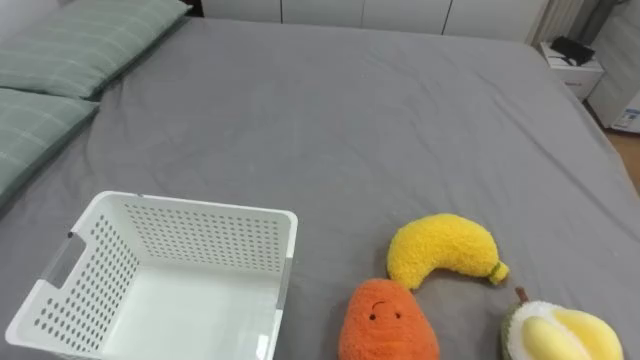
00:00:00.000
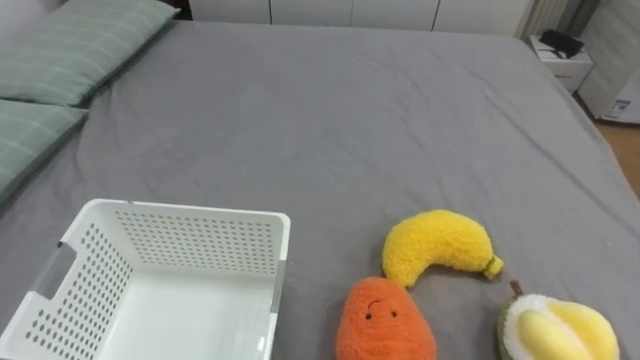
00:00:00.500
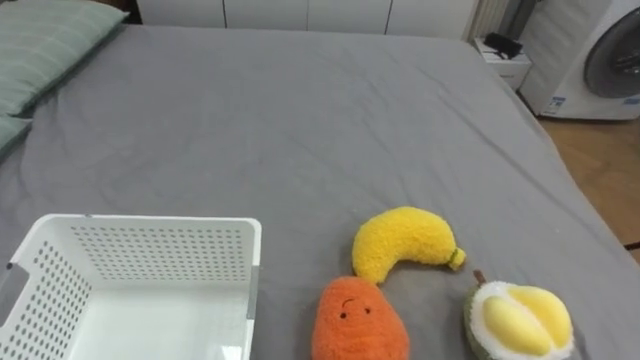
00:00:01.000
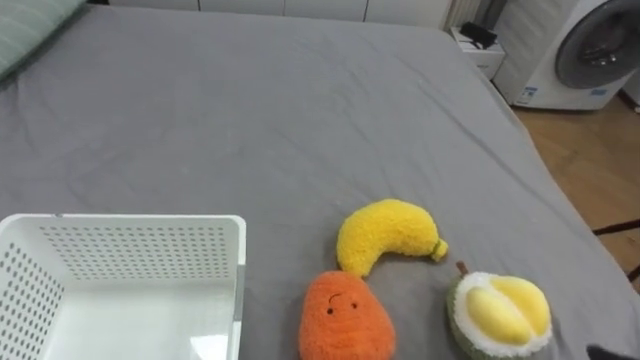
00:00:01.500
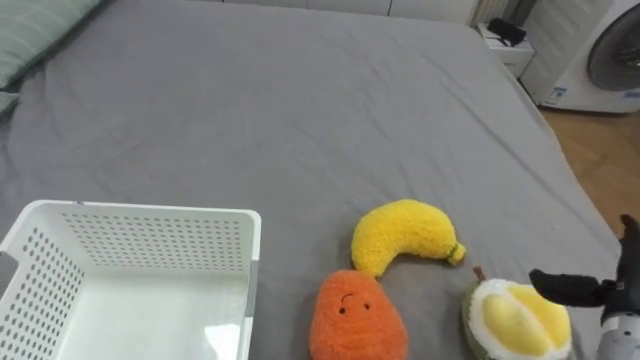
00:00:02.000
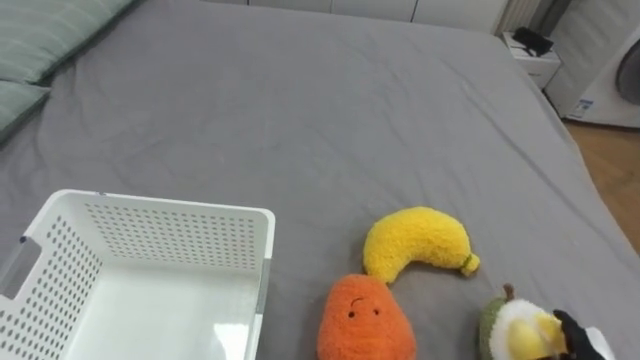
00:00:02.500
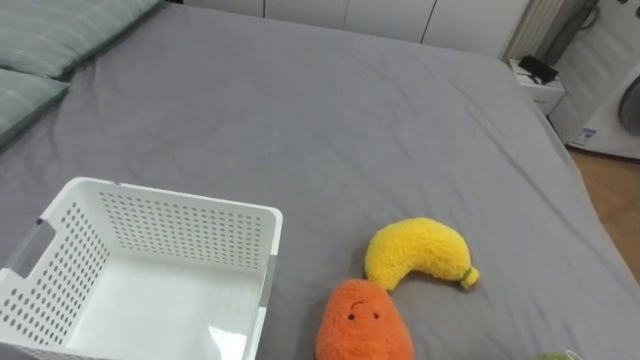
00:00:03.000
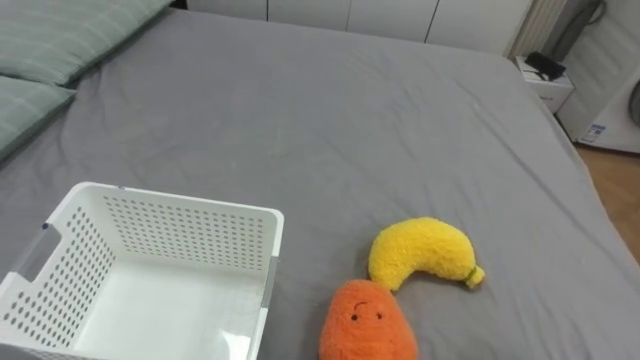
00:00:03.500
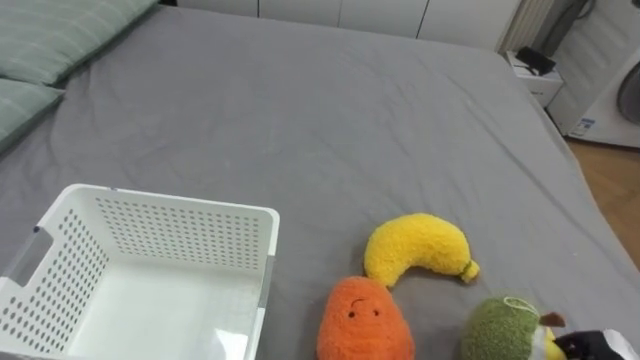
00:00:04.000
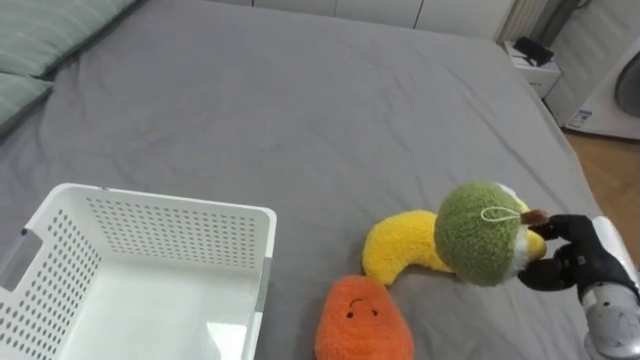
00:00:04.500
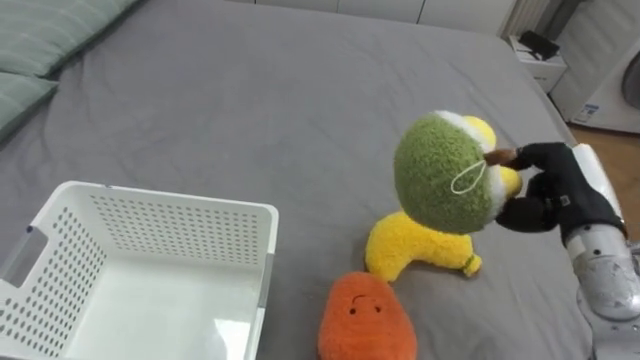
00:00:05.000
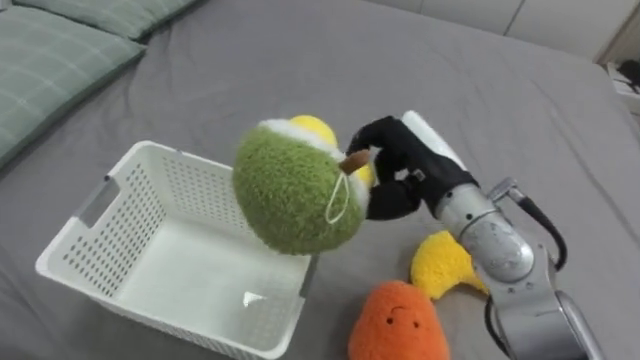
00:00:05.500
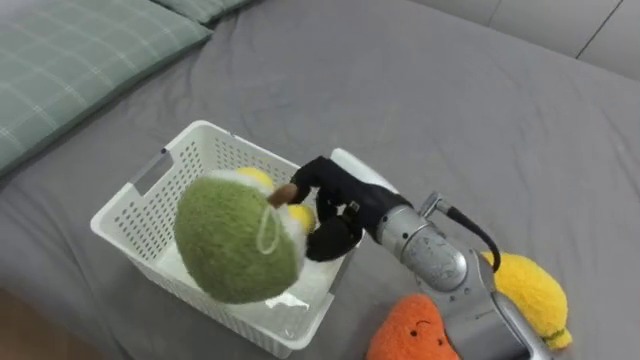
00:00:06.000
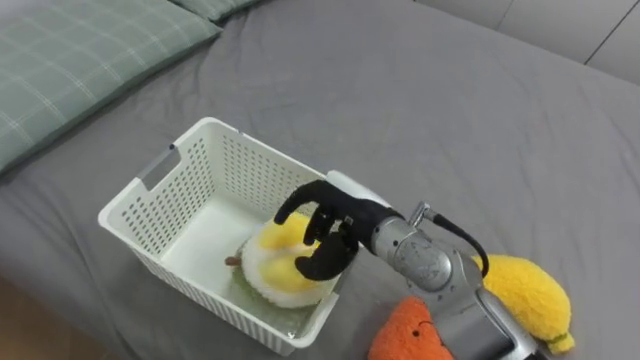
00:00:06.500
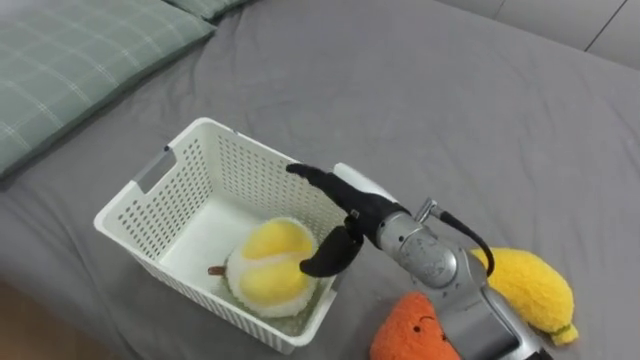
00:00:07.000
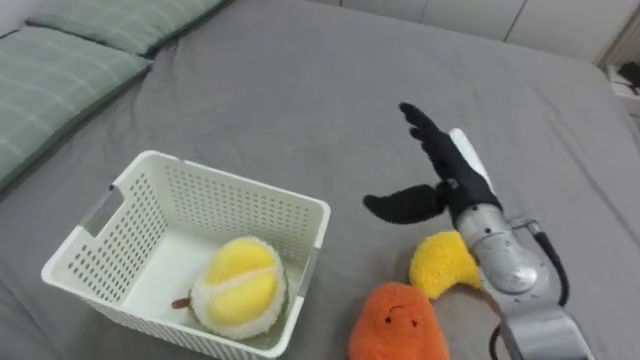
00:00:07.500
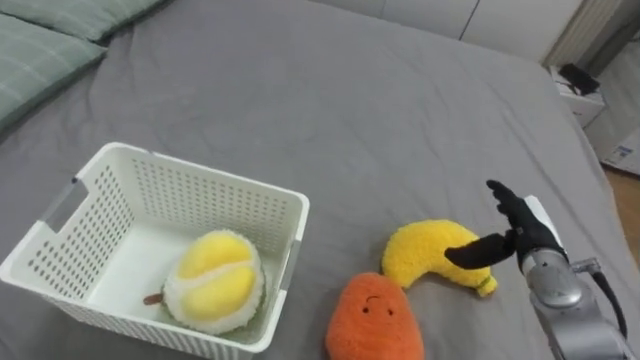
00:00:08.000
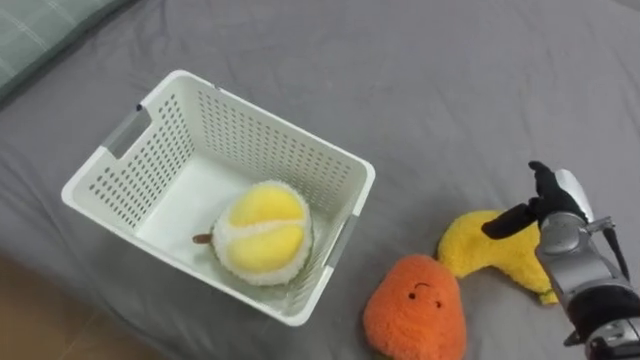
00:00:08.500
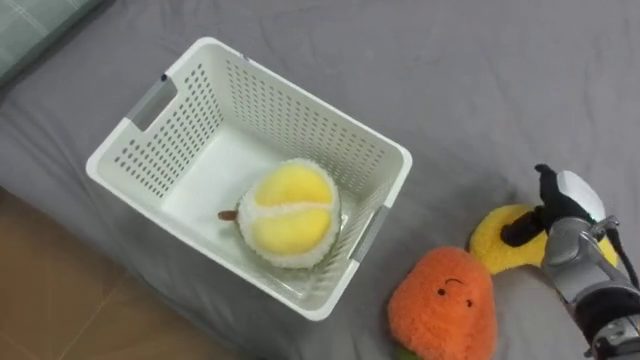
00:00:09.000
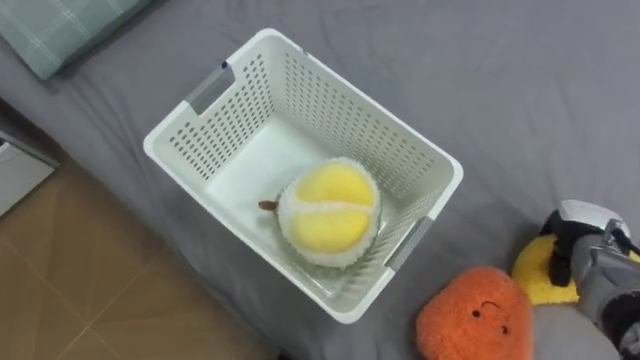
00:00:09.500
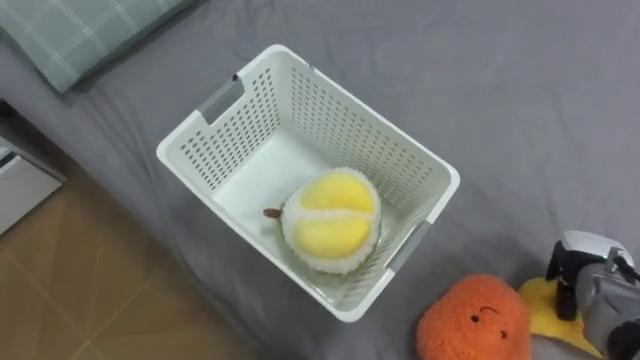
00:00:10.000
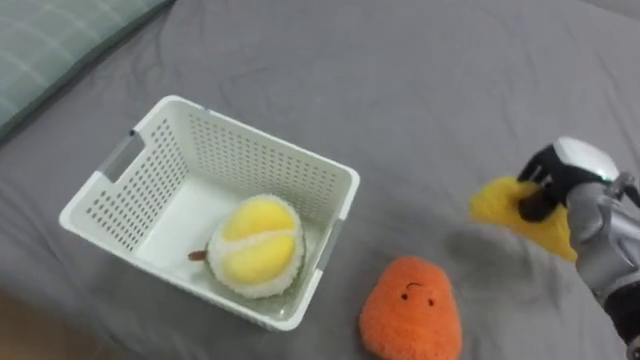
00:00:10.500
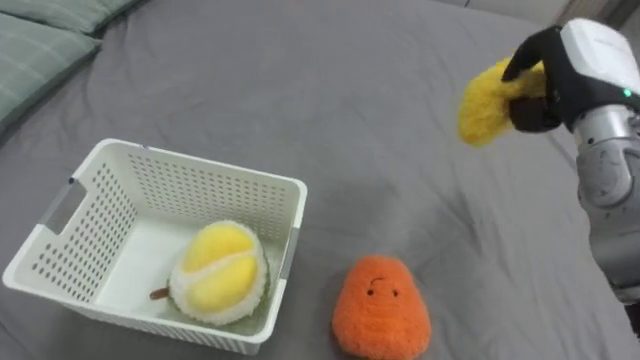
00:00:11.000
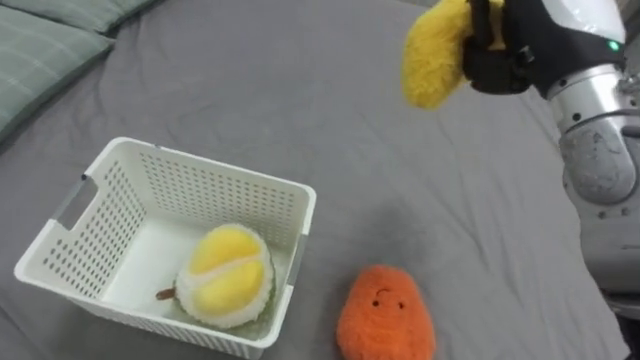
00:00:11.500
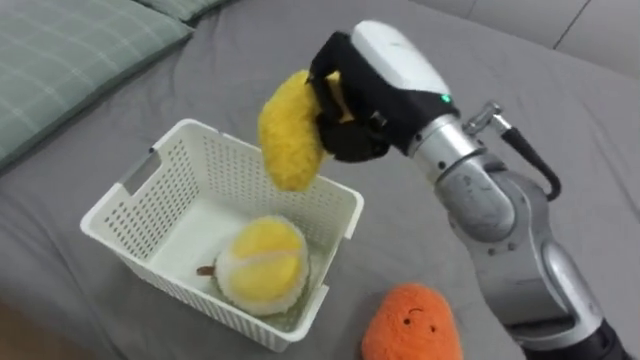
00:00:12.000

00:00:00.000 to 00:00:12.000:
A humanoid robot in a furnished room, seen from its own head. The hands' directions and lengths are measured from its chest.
Task of the whole recording: Put the toys on the bed into the basket on the left.
00:00:06.000 to 00:00:08.000: The right hand goes roughly 25 cm to the right and downward, and opens its fingers.
00:00:08.000 to 00:00:10.000: The right hand heads to the right, covering some 10 cm, and closes its fingers.
00:00:10.000 to 00:00:12.000: The right hand travels to the left and upward by about 40 cm.

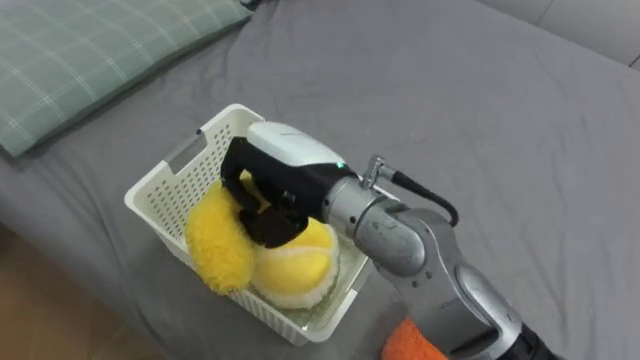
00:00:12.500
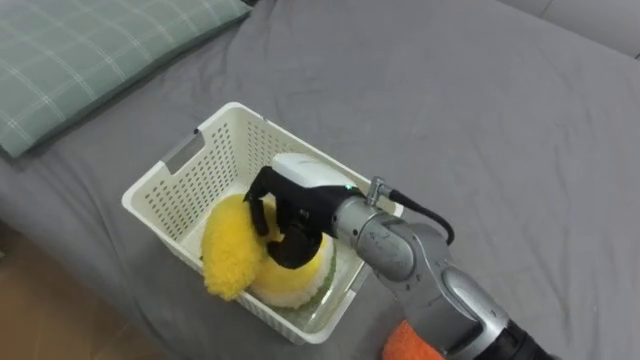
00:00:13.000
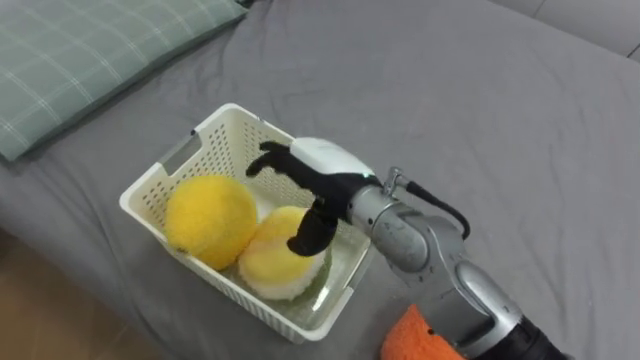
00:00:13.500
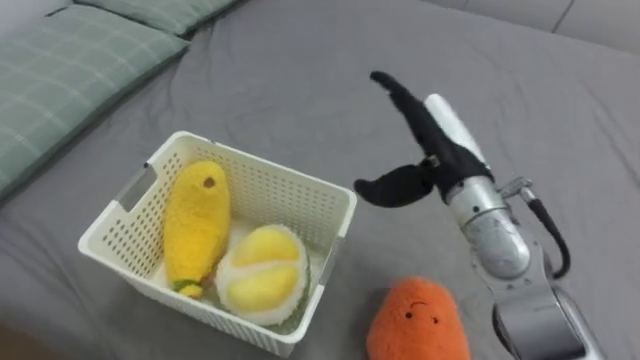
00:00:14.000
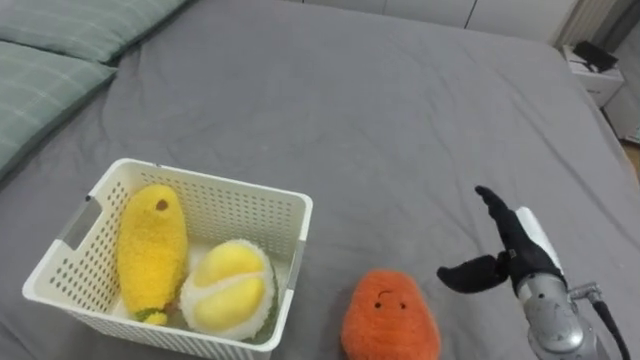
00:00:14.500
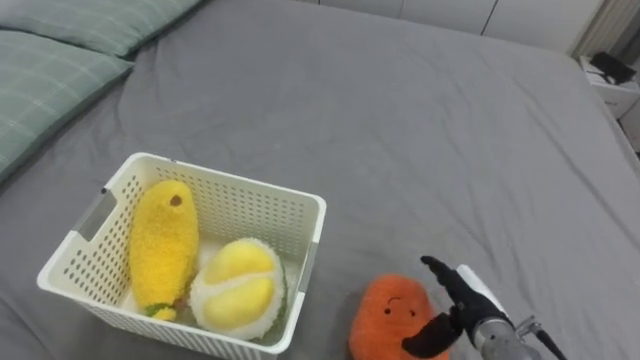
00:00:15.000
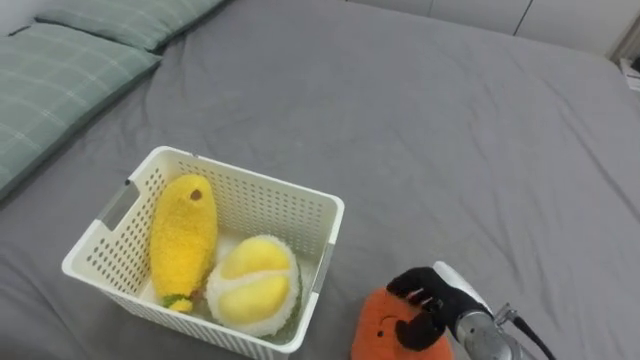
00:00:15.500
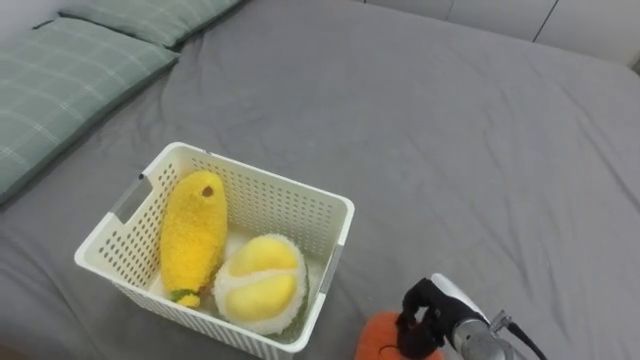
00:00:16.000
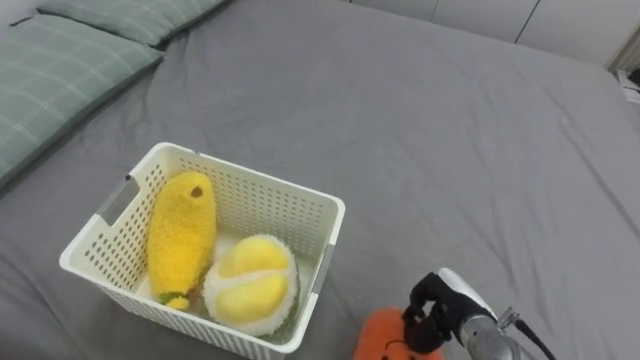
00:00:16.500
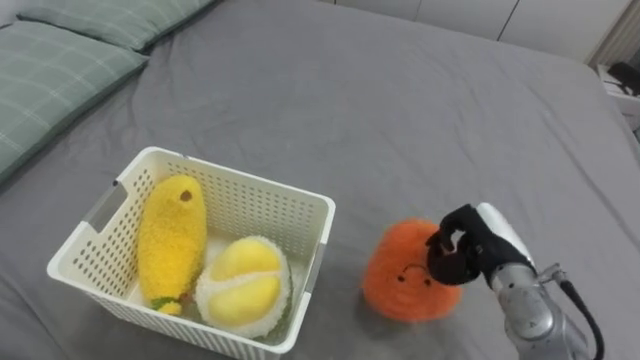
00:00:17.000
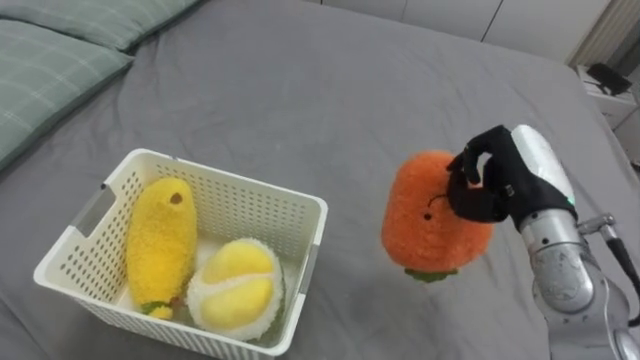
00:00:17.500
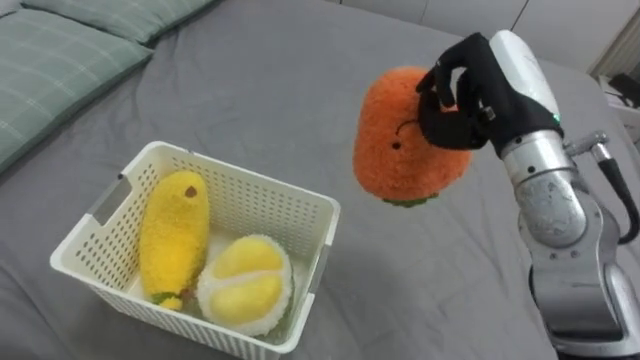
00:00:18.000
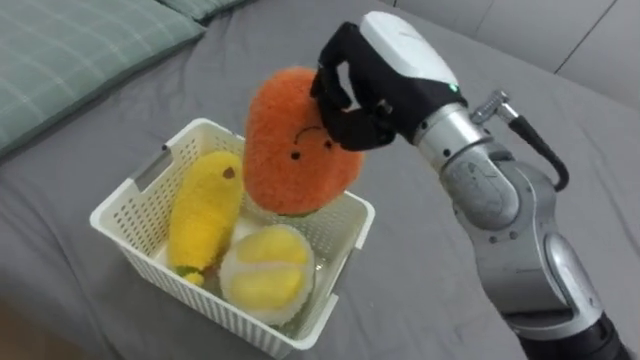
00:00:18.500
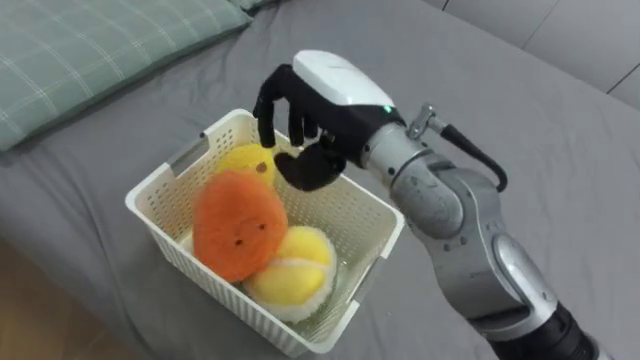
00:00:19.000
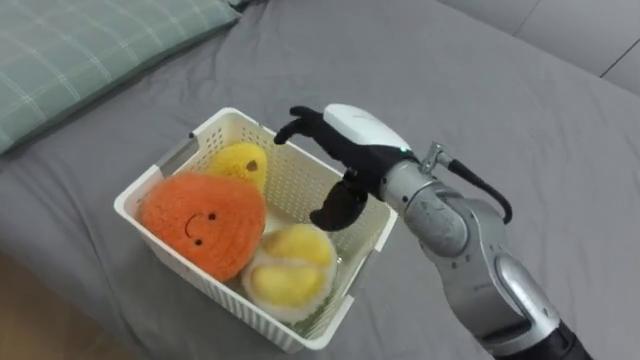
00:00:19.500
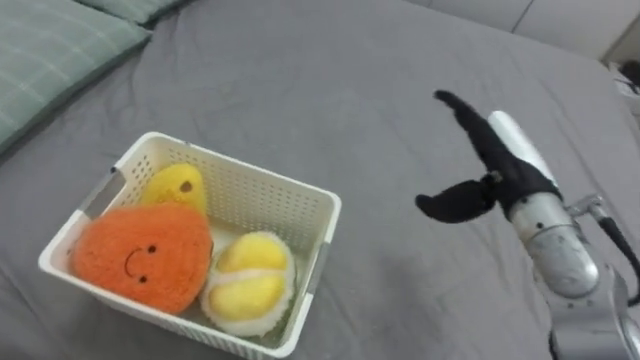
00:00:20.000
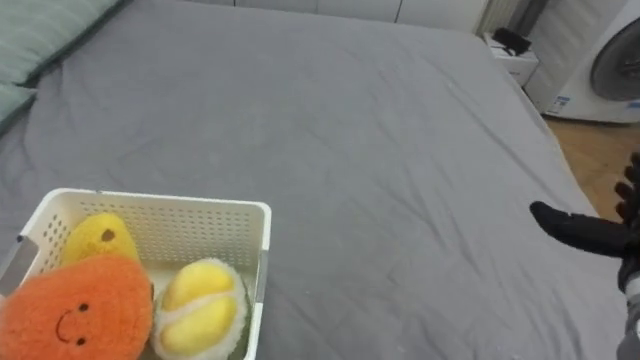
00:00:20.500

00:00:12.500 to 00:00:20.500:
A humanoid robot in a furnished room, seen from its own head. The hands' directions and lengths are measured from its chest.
Task of the whole recording: Put the toys on the bed into the basket on the left.
00:00:12.500 to 00:00:14.500: The right hand is displaced to the right and downward by about 30 cm, and opens.
00:00:14.500 to 00:00:16.500: The right hand moves downward and to the left, about 10 cm, and closes up.
00:00:16.500 to 00:00:18.500: The right hand travels upward by roughly 30 cm.
